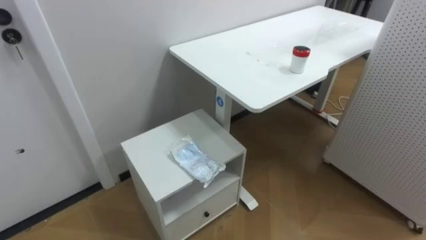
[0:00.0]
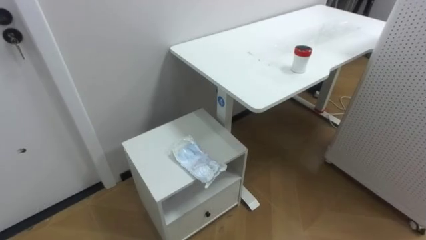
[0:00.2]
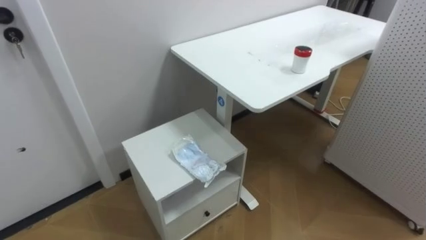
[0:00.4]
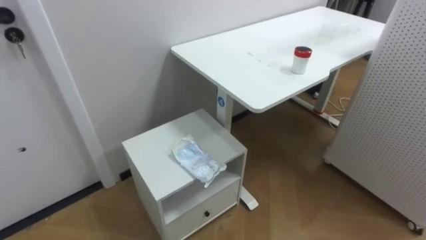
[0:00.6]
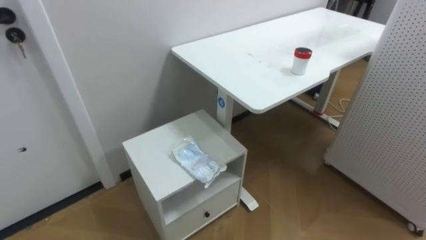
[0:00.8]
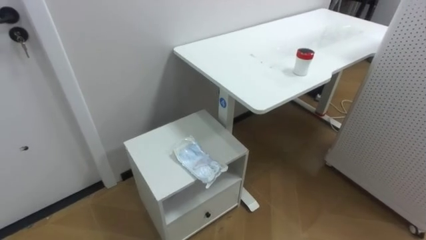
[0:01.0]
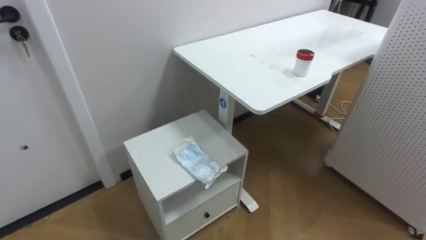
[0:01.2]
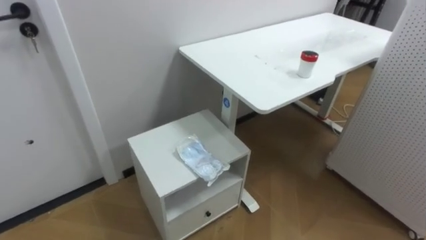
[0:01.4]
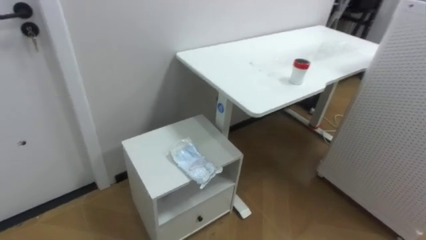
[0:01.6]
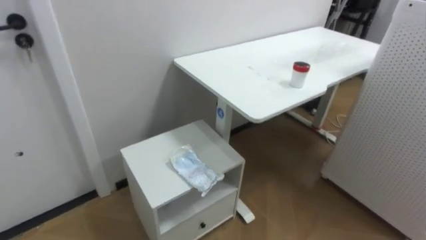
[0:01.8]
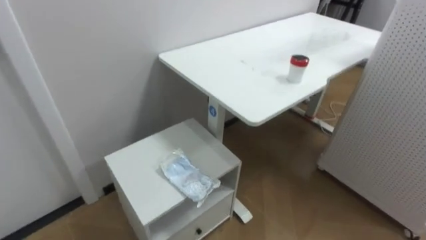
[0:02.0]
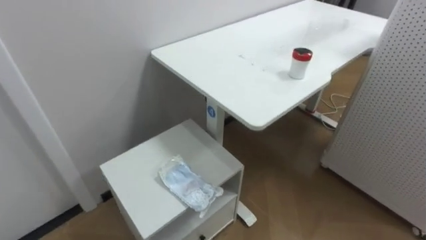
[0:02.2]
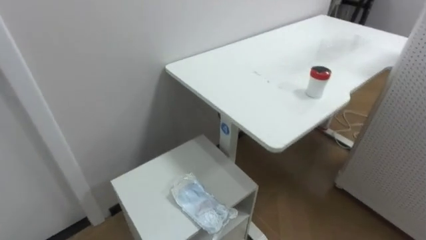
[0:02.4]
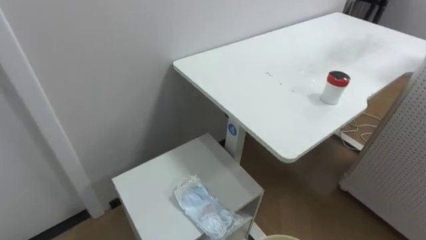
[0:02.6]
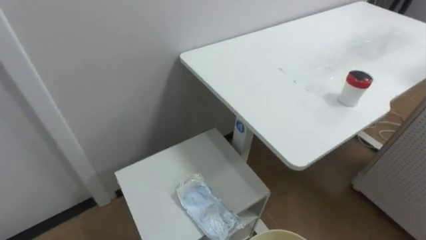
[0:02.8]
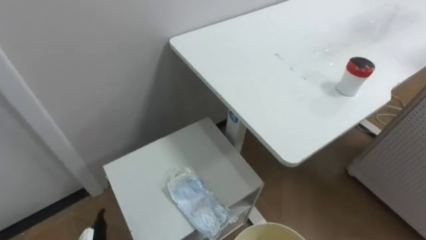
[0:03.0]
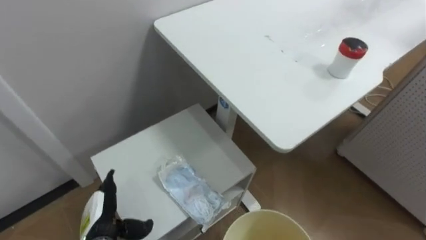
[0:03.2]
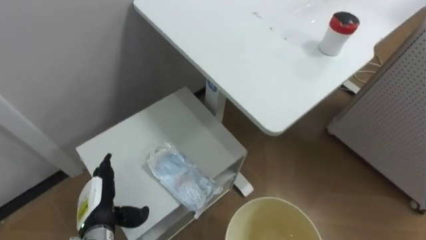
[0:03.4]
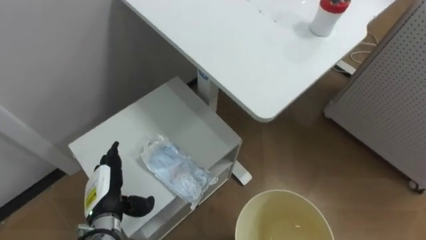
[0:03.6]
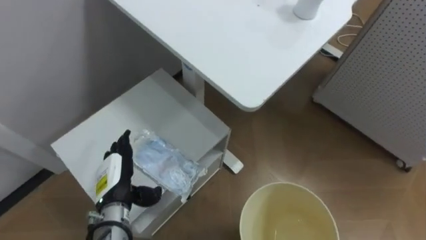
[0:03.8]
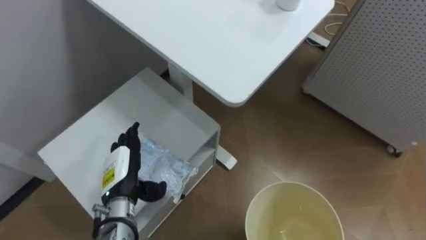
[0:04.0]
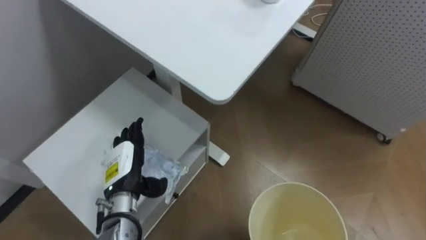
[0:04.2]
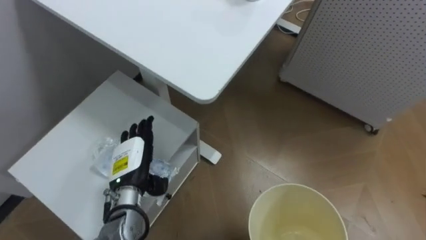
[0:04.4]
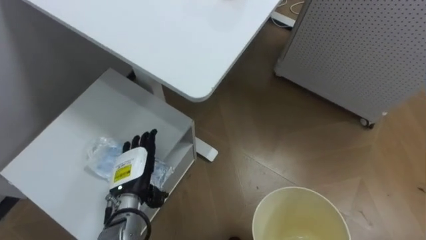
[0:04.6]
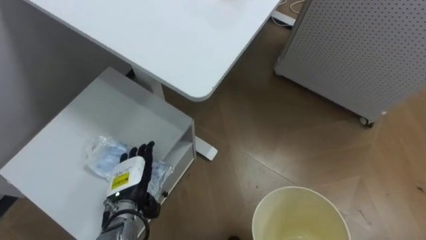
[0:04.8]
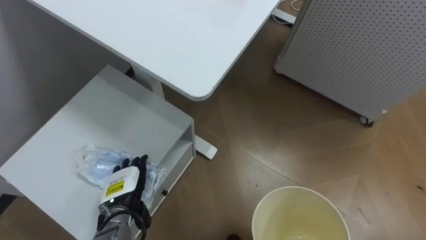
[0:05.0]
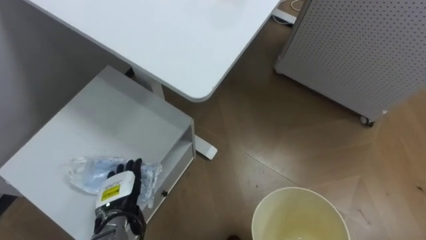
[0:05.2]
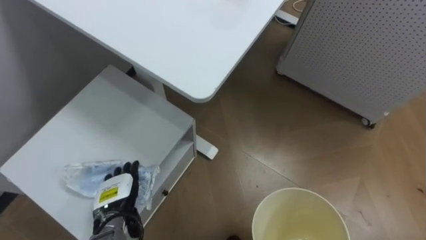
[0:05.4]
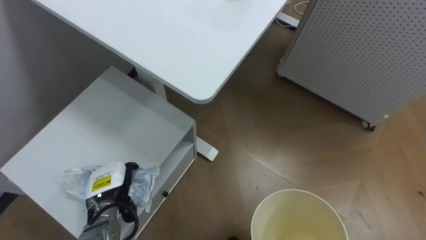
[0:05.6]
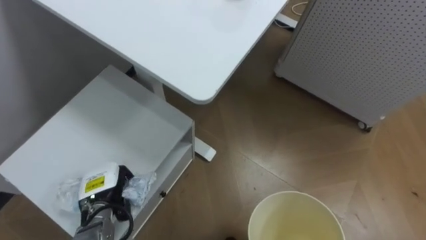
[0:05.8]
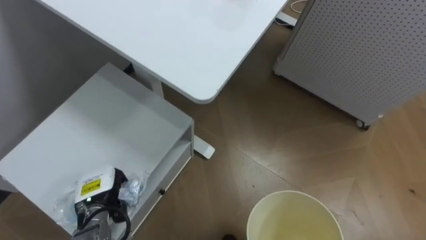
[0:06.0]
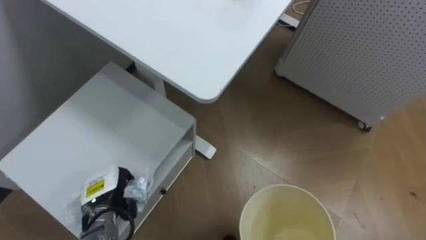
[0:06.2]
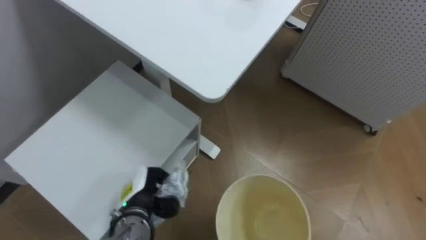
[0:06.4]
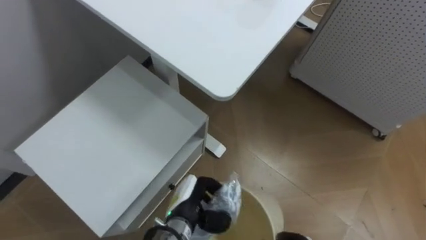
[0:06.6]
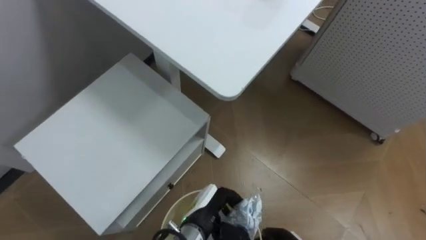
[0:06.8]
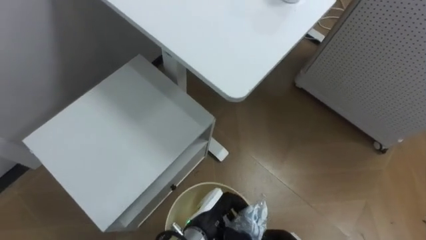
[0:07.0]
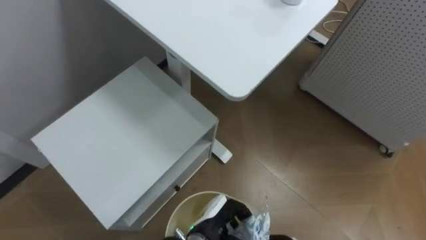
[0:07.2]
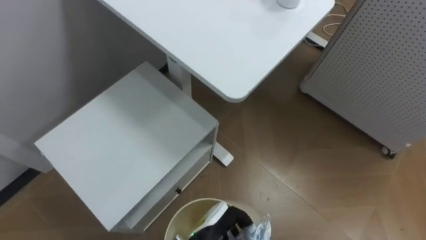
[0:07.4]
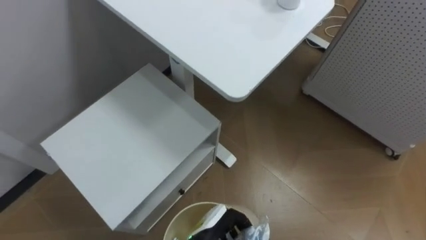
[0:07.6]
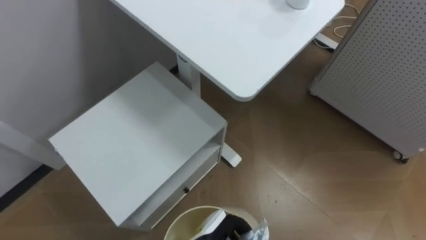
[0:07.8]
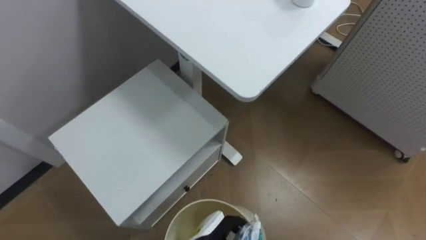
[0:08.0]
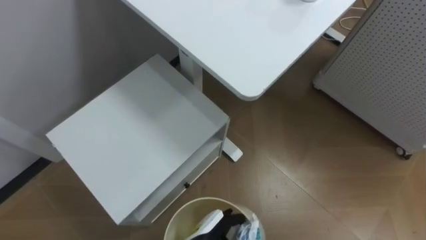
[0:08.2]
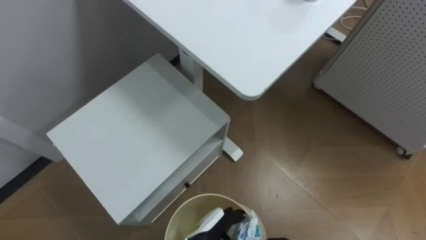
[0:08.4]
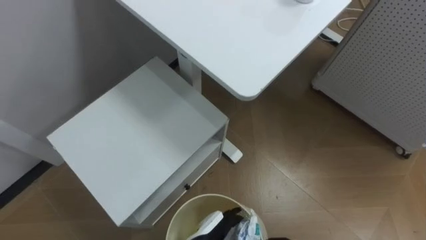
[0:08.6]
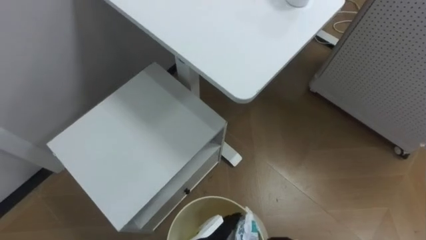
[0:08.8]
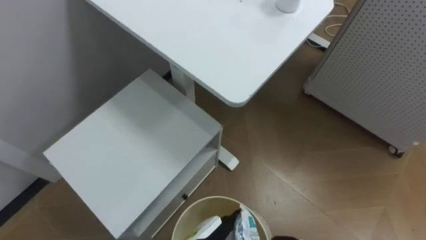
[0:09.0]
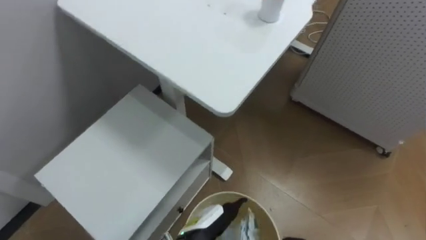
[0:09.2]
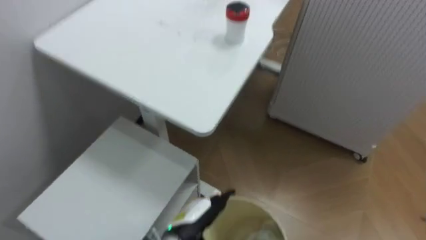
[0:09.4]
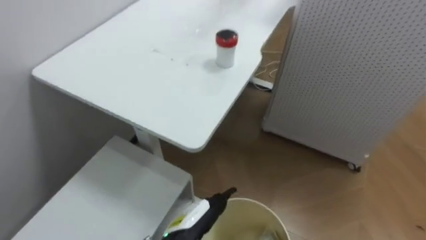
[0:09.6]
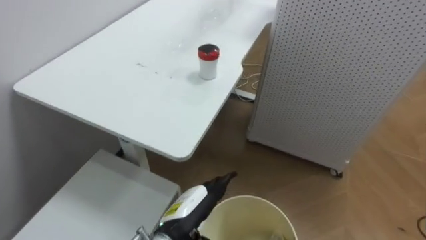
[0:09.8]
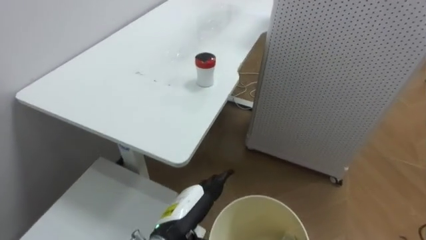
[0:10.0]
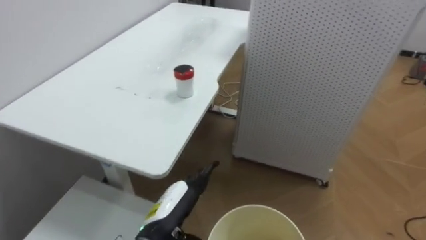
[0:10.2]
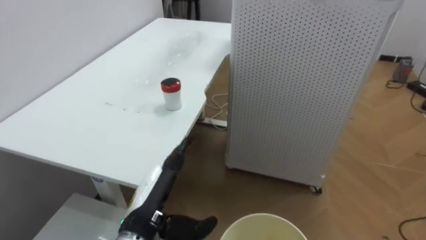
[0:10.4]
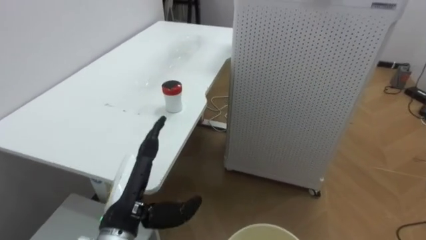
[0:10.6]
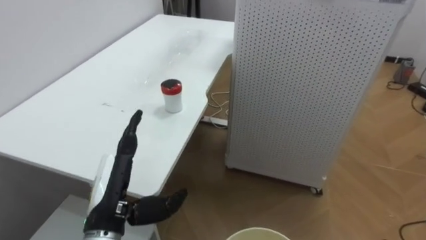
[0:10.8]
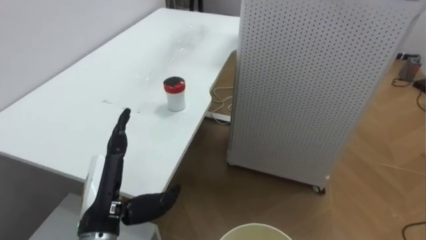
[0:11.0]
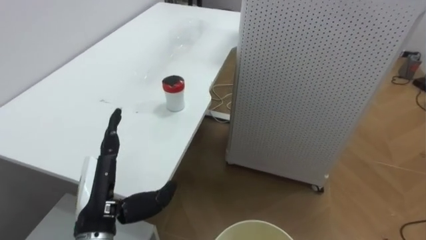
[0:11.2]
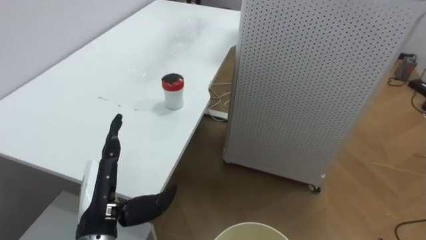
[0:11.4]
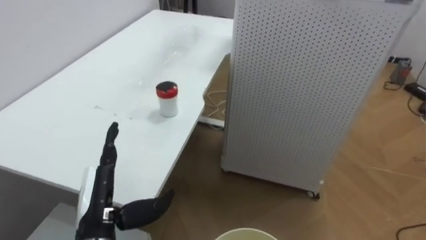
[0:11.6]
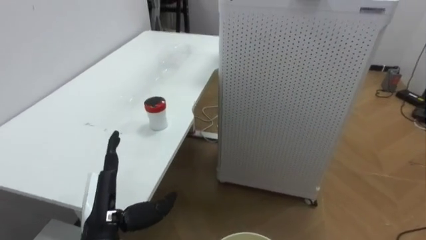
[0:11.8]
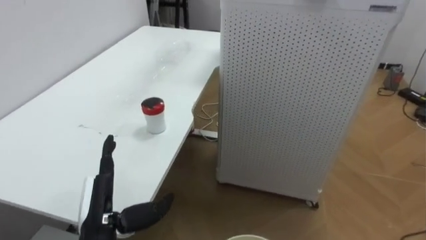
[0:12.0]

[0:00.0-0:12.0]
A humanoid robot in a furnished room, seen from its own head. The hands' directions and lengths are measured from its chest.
Task of the whole recording: Pick up the light blue package, the candy box, and the dark blue package separately, and put them into the trash can held in your right hand.
0:04.4 to 0:06.0: The left hand heads to the left and downward, covering some 10 cm, and closes up.
0:06.0 to 0:07.6: The left hand travels to the right by some 25 cm.
0:09.0 to 0:10.4: The robot turns to its right by roughly 25 degrees. The left hand is displaced upward and to the left by roughly 15 cm.
0:10.4 to 0:12.0: The left hand goes some 10 cm to the left.

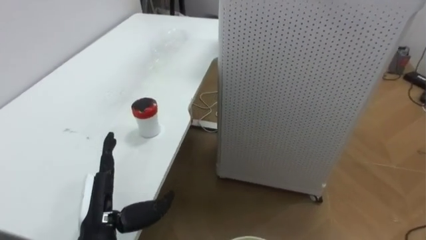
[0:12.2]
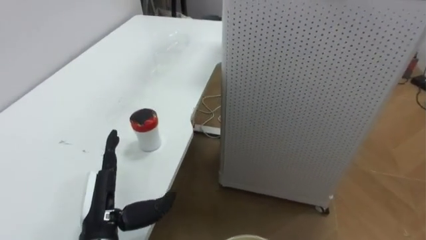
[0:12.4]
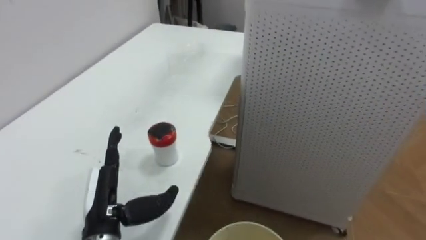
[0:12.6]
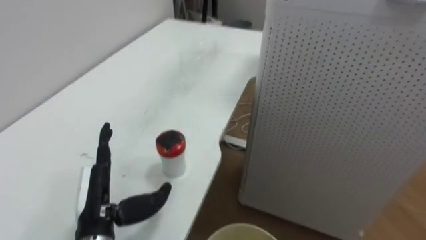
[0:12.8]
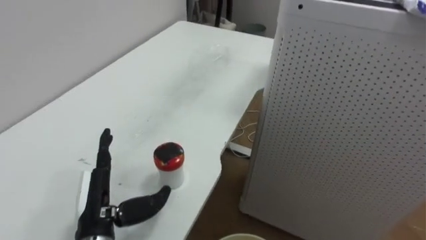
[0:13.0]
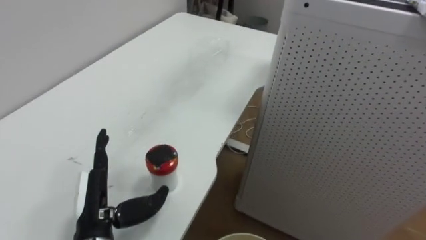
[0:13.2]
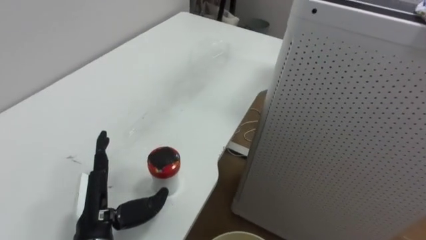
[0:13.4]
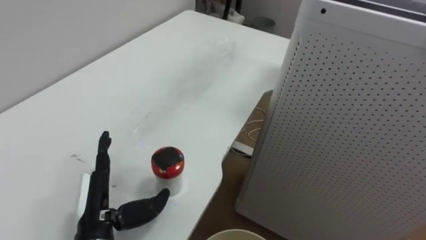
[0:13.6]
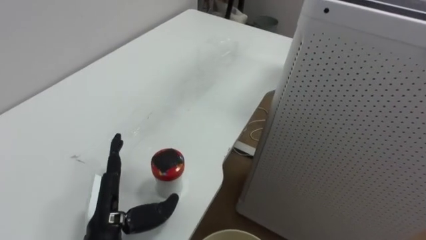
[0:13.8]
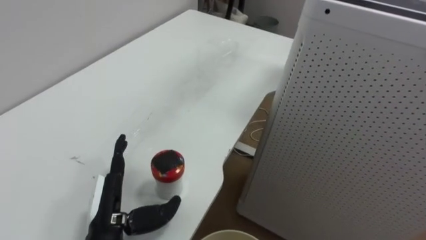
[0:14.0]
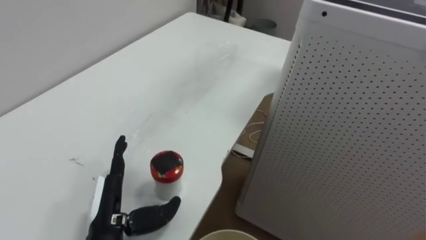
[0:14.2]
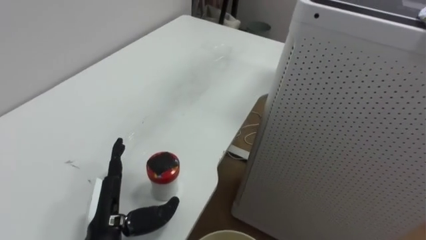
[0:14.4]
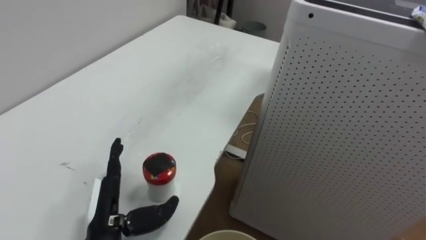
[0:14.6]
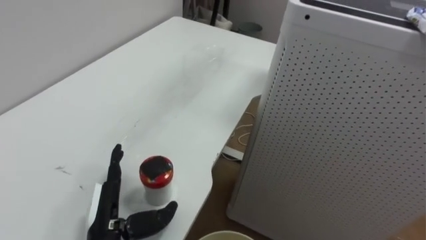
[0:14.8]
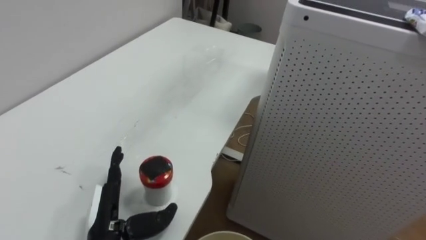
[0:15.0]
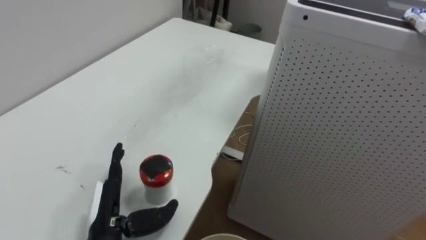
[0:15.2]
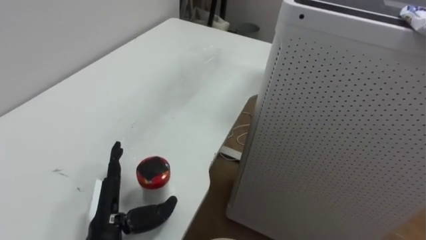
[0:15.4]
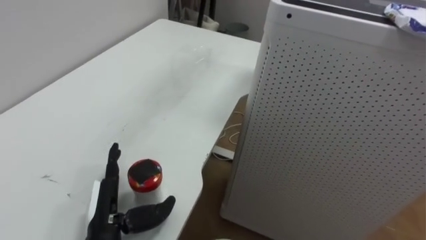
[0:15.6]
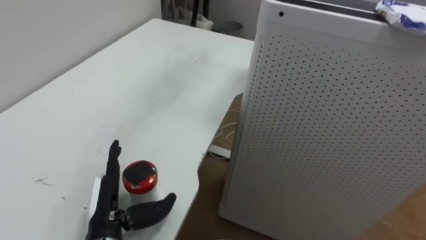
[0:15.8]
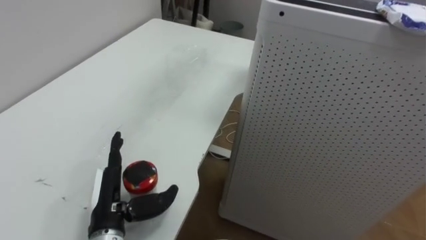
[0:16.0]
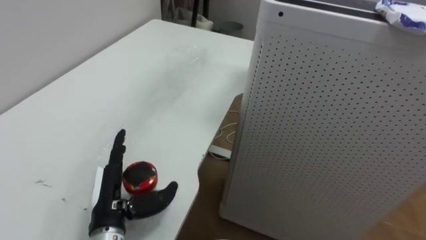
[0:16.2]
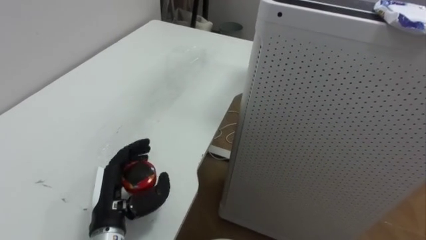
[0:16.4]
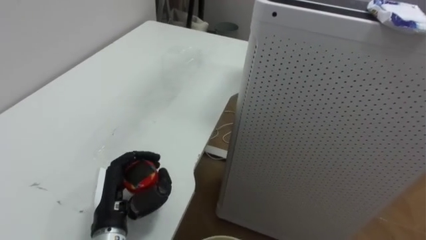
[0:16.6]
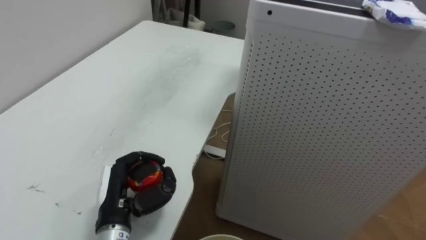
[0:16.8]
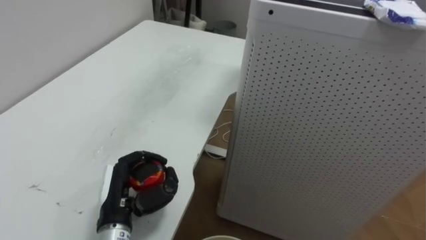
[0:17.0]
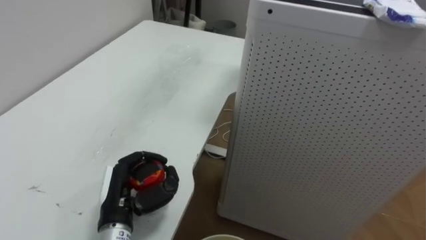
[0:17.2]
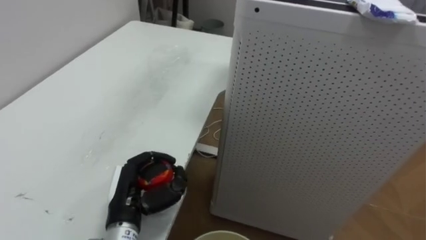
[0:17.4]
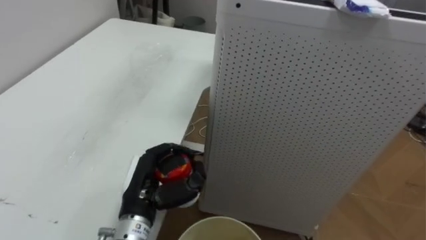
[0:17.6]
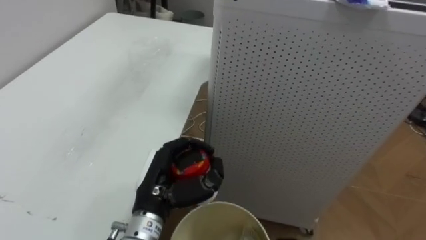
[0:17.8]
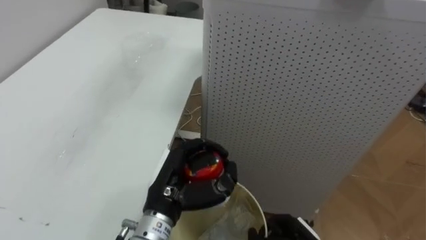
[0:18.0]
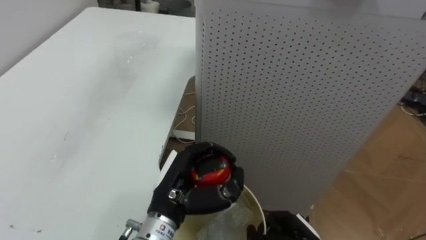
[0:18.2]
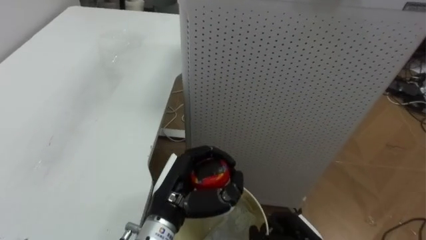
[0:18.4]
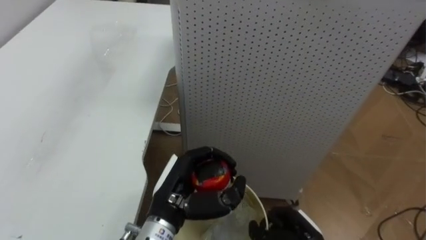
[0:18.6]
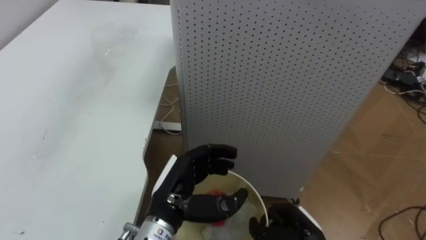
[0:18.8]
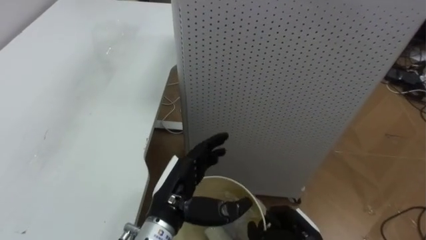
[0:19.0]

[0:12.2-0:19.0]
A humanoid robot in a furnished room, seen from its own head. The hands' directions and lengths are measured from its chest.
Task of the whole recording: Pick up the light blue package, the candy box, and the dark blue package separately, and put them into the trash can held in your right hand.
0:16.2 to 0:17.6: The left hand is displaced to the right by about 5 cm, and closes up.
0:17.6 to 0:19.0: The left hand is displaced to the right by some 5 cm, and opens its fingers.
